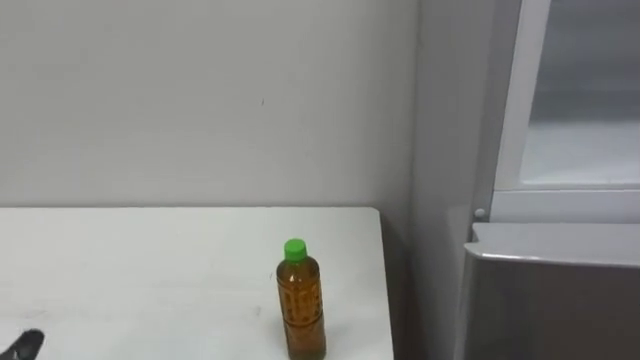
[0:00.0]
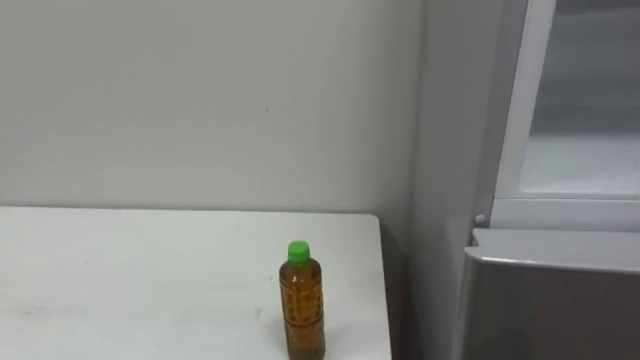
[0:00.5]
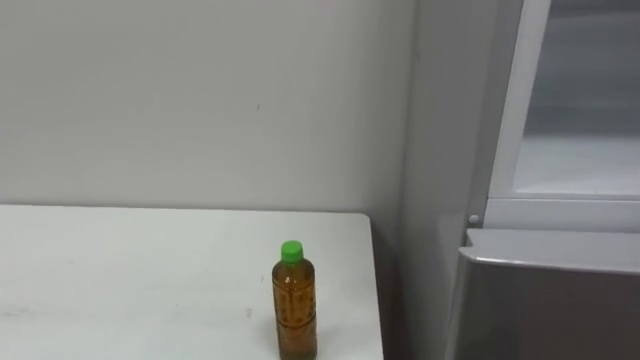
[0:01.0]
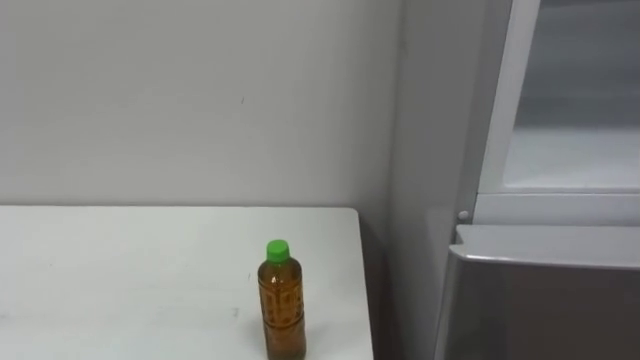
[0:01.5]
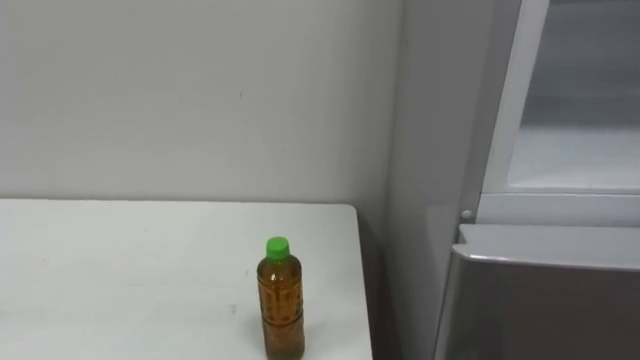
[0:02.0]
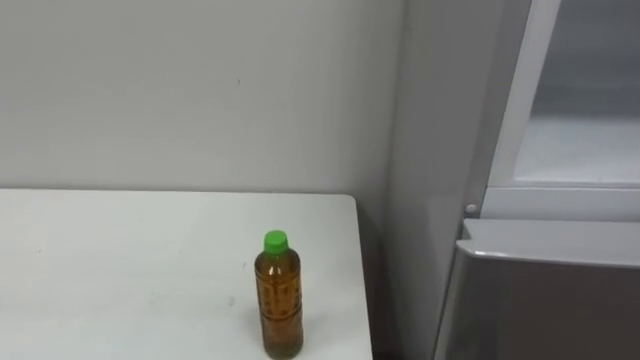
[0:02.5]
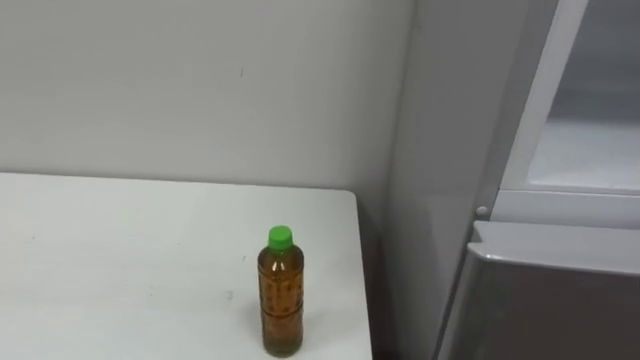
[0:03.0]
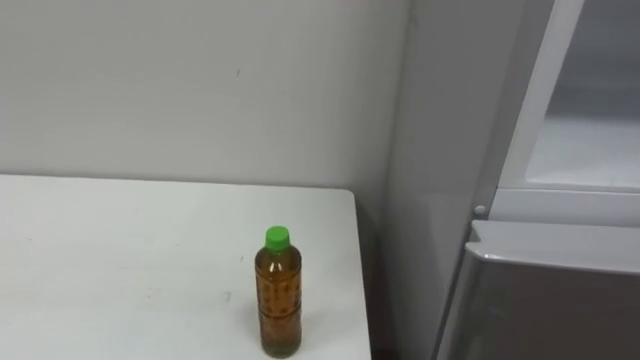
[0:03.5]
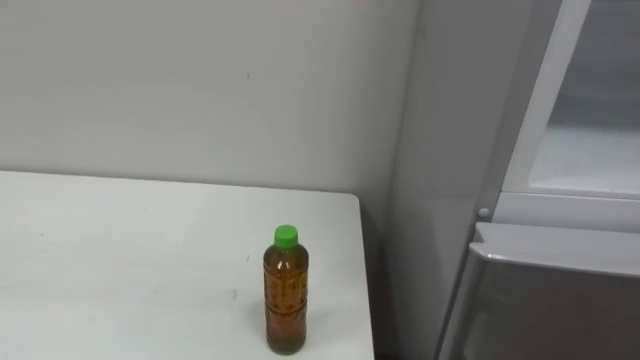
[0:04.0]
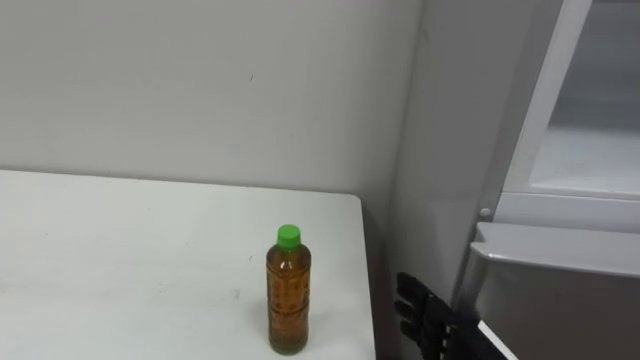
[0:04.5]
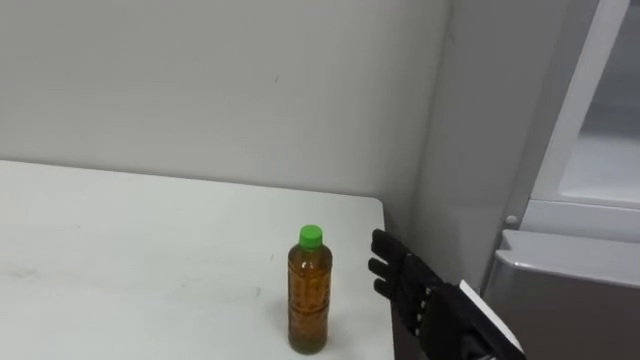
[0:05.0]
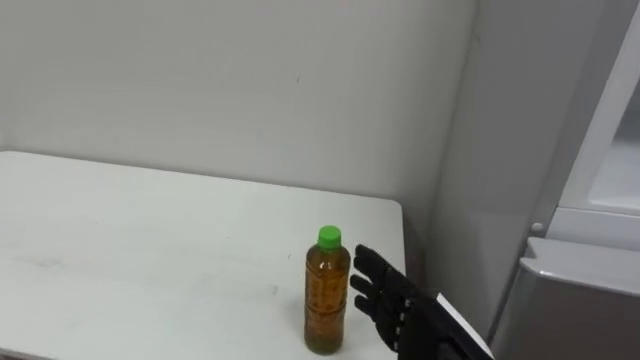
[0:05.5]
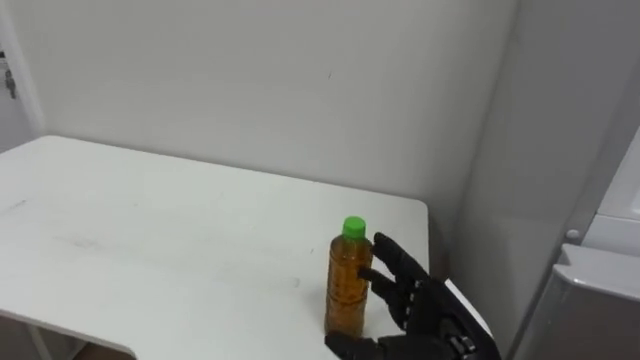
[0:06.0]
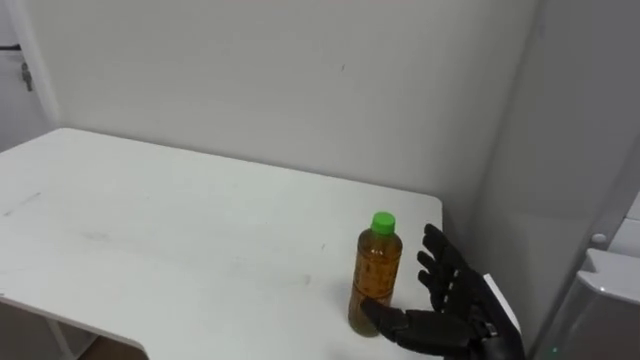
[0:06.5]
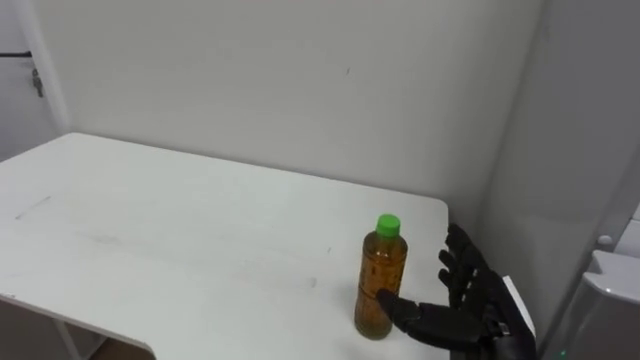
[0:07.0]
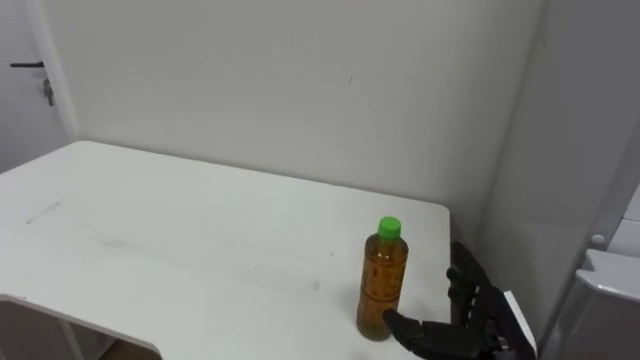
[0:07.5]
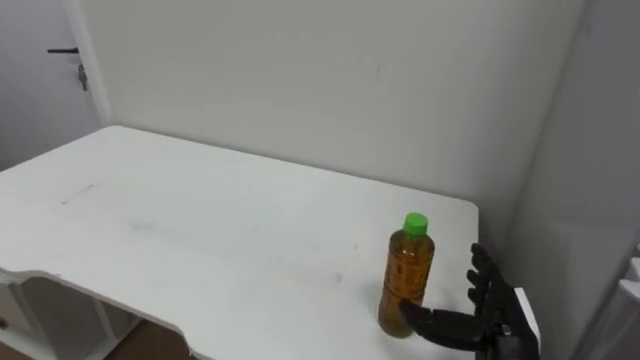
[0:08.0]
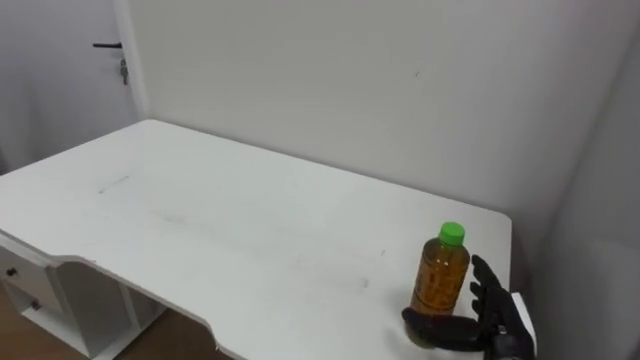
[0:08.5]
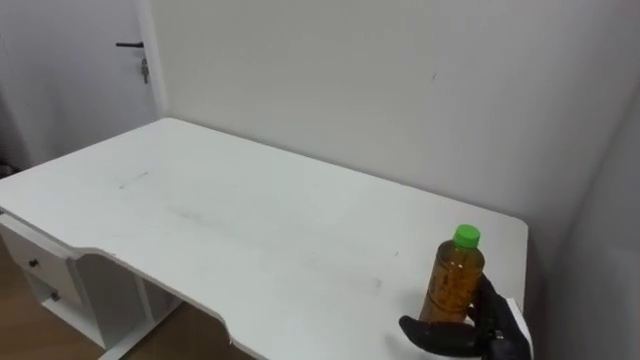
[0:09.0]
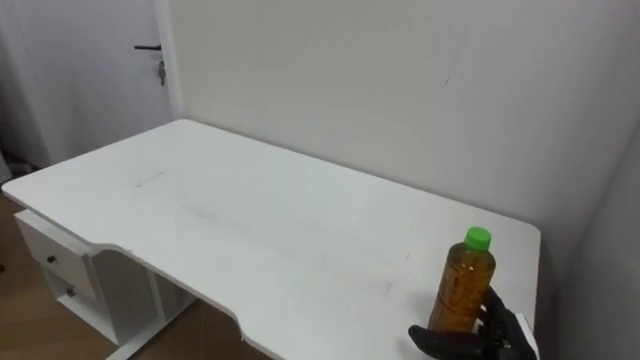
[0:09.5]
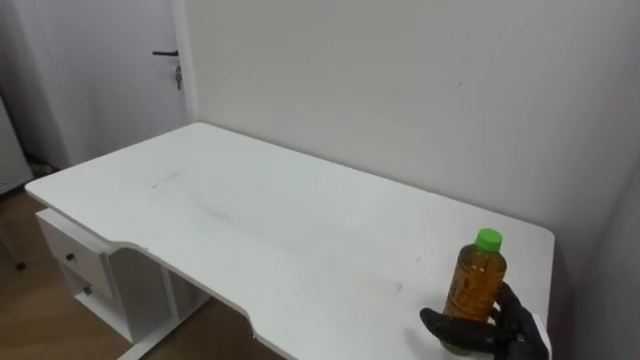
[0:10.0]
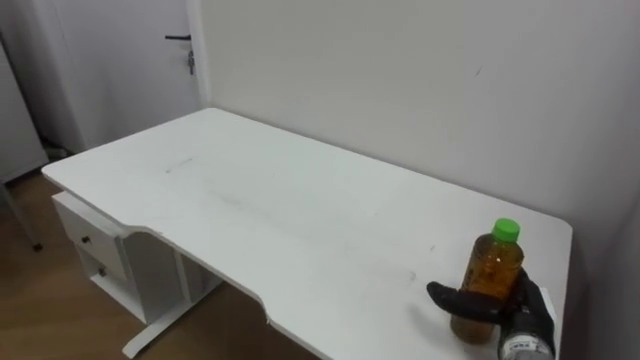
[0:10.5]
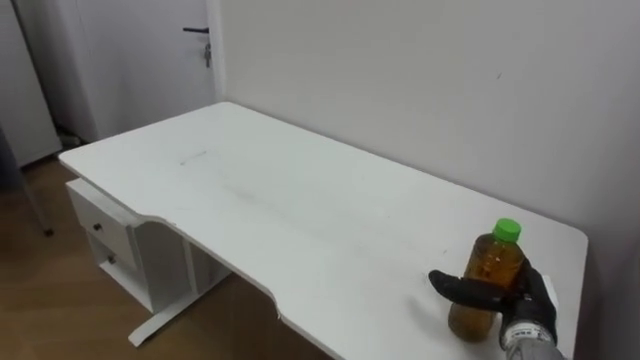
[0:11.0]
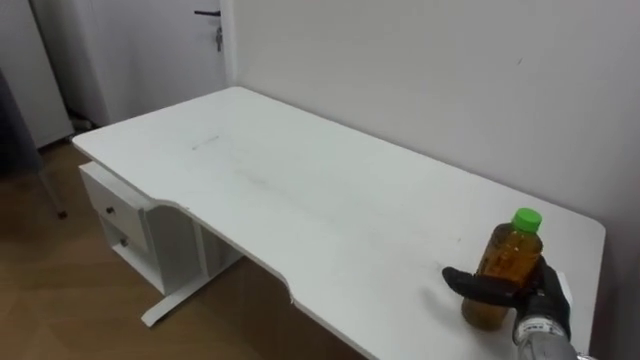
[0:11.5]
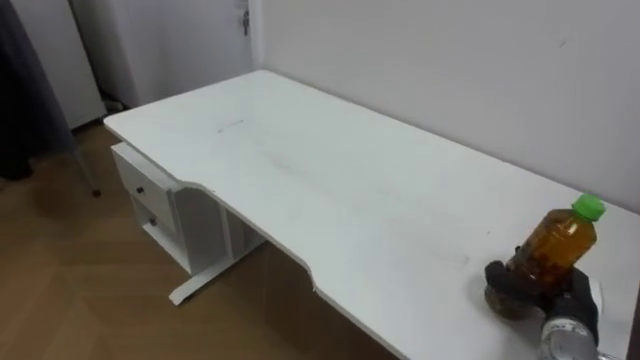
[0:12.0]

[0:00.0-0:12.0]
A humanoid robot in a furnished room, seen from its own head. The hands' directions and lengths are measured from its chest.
Task of the whole recording: Open the upper refrigerator door, put the drink from the table into the refrigerator, and then close the refrigerator door.
0:06.0 to 0:08.0: The right hand is displaced to the right by roughly 10 cm.
0:08.0 to 0:10.0: The right hand shifts by roughly 5 cm.
0:10.0 to 0:12.0: The right hand heads to the right, covering about 5 cm, and closes its fingers.

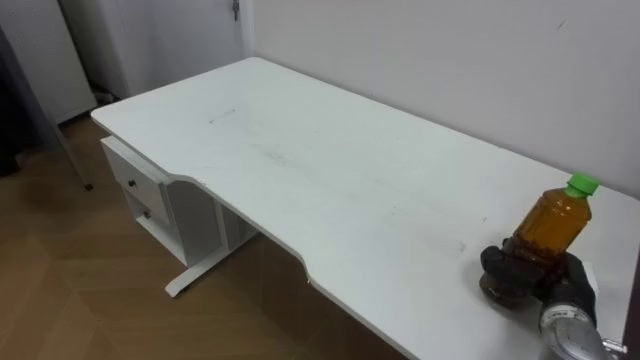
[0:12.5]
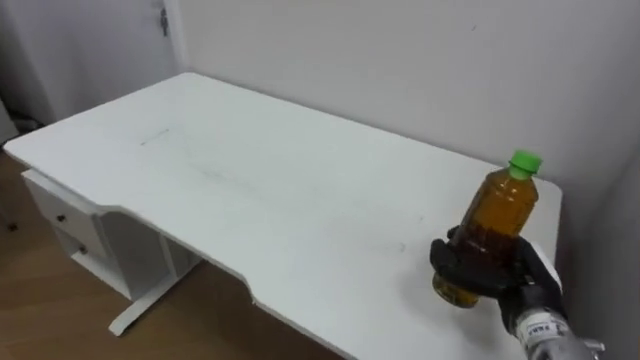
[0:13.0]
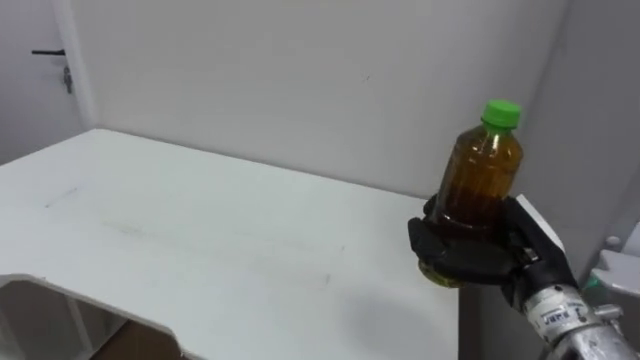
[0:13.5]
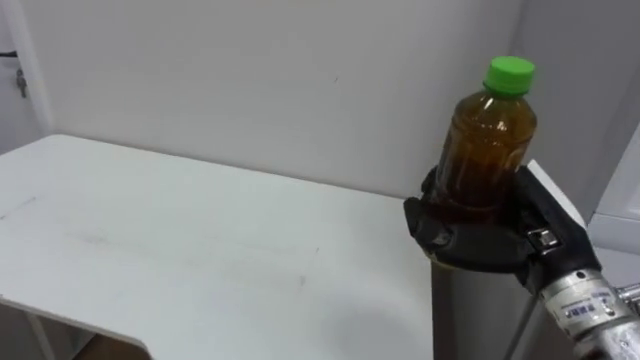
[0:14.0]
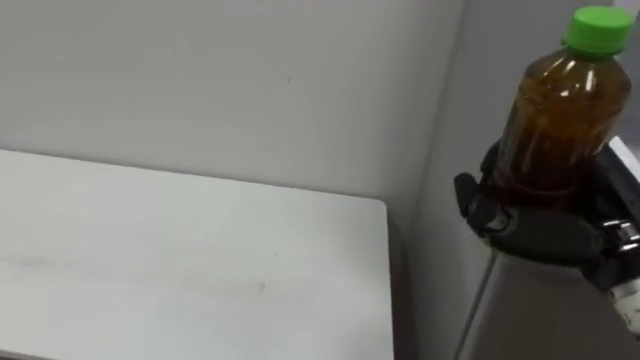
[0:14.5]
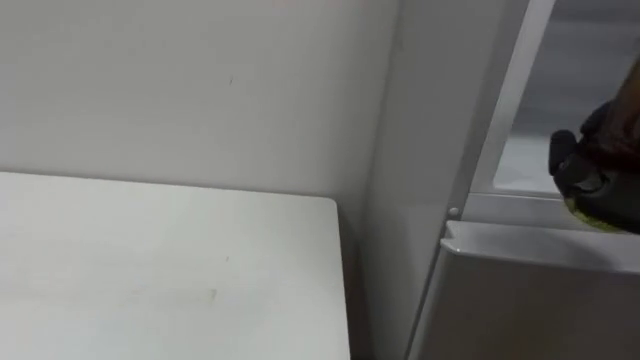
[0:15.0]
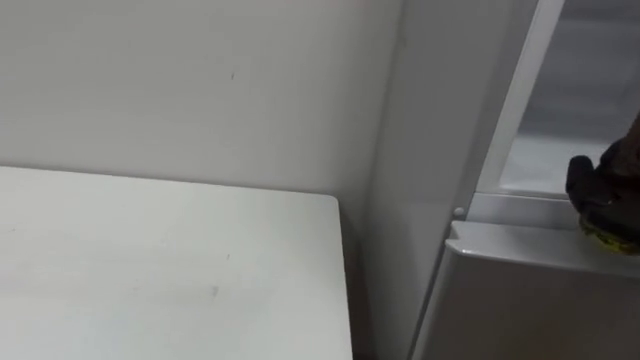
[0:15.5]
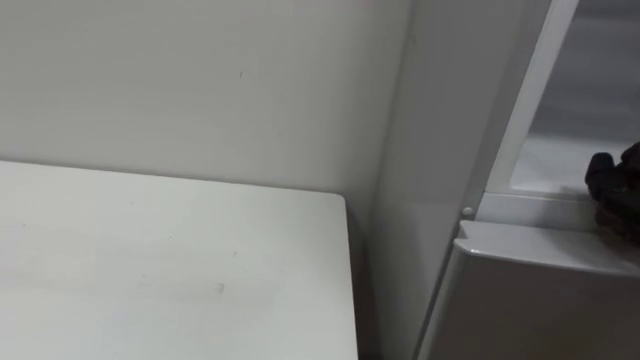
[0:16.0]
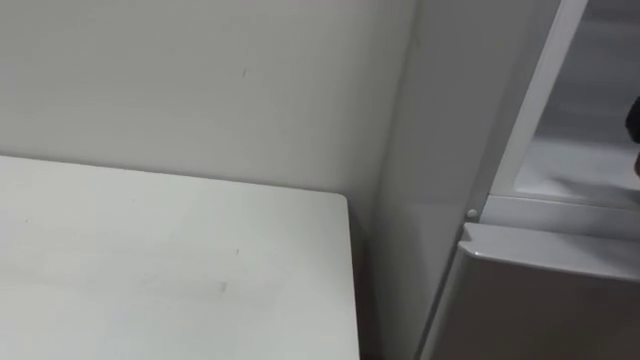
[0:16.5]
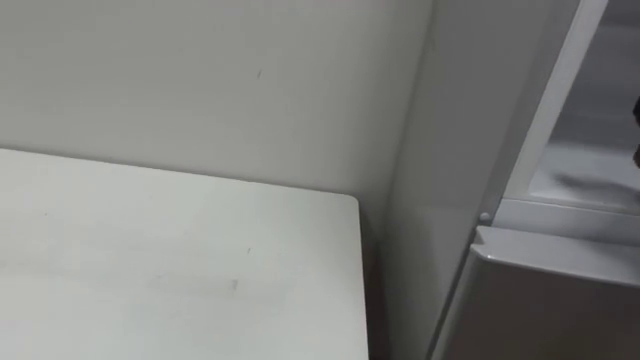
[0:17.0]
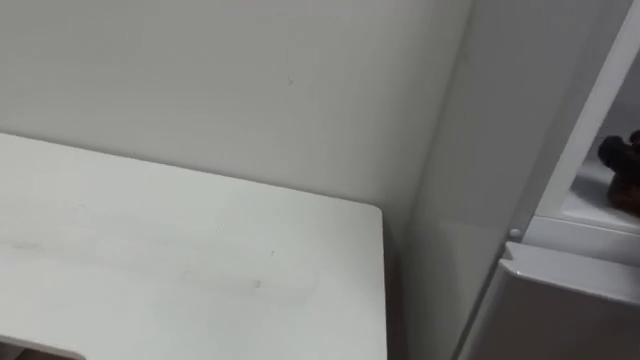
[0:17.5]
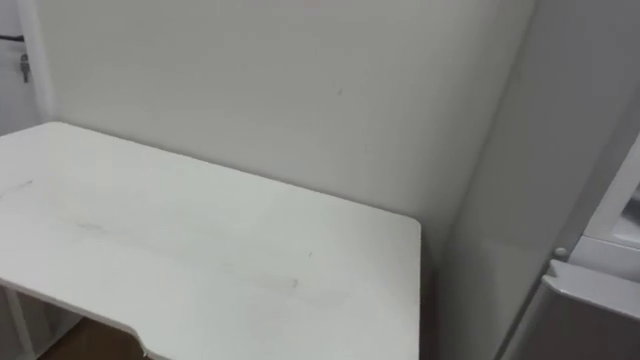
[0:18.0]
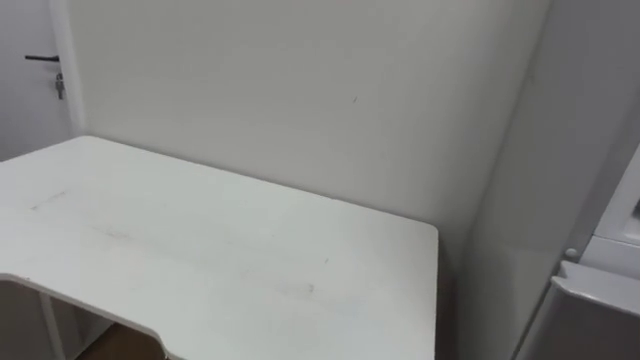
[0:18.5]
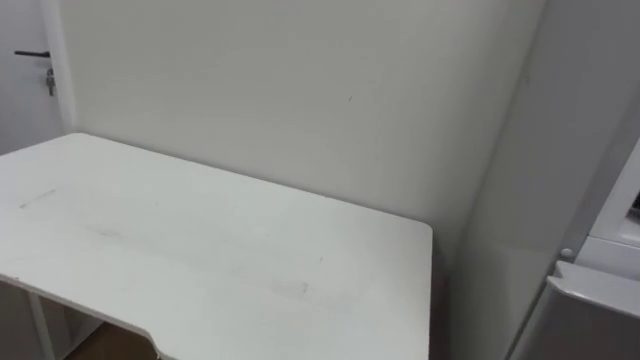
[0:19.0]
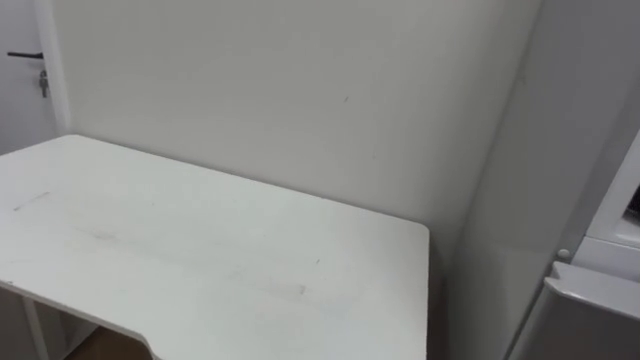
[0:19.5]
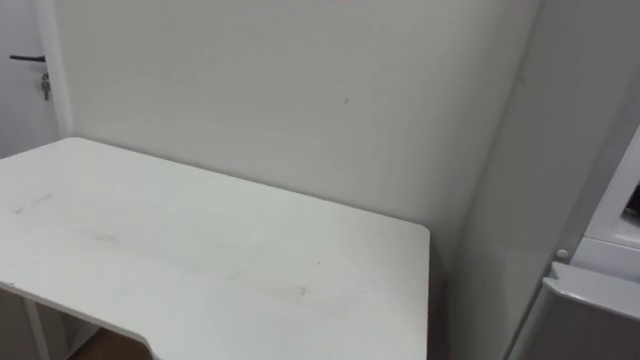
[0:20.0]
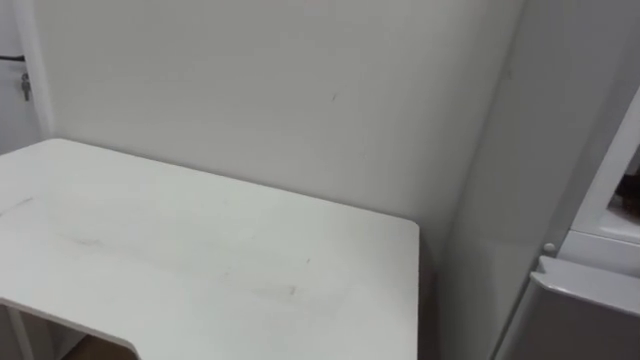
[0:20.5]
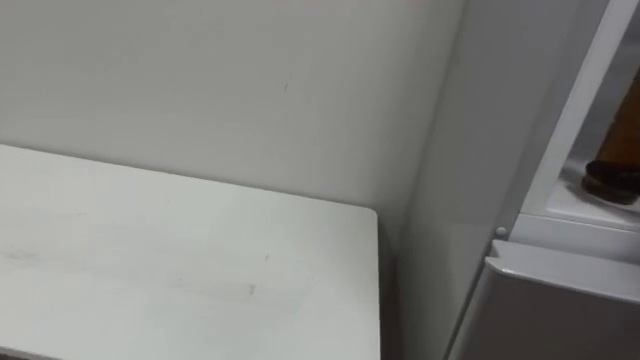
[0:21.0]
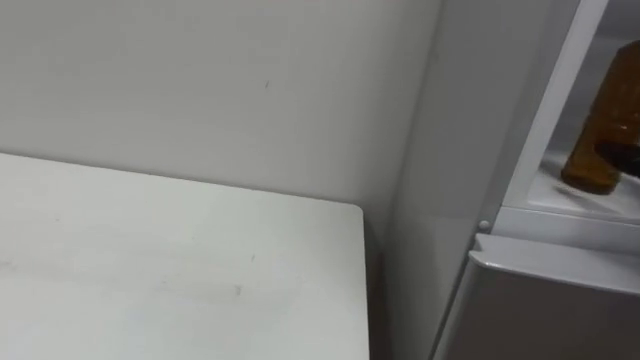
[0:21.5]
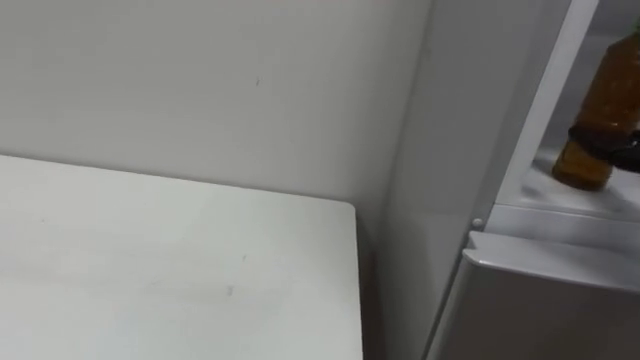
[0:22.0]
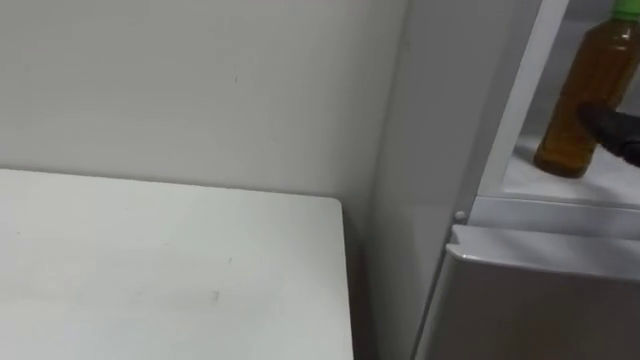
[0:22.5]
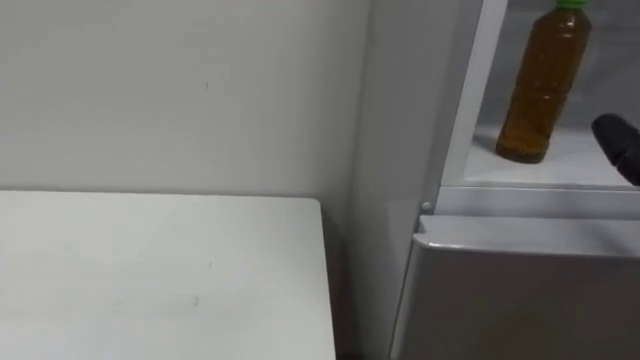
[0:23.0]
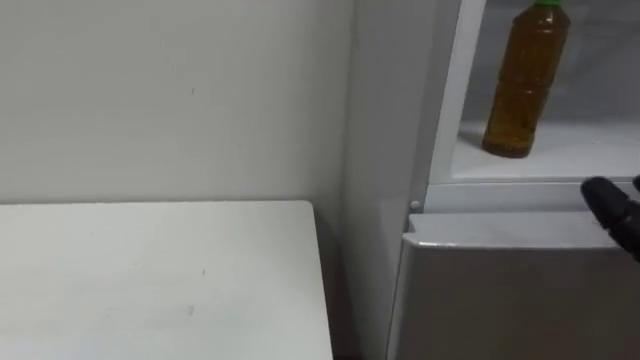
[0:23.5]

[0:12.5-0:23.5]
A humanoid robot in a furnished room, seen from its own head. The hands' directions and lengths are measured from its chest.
Task of the whole recording: Open the upper refrigerator door, put the drink from the table into the refrigerator, and then close the refrigerator door.
0:12.5 to 0:14.5: The right hand shifts approximately 20 cm upward and backward.
